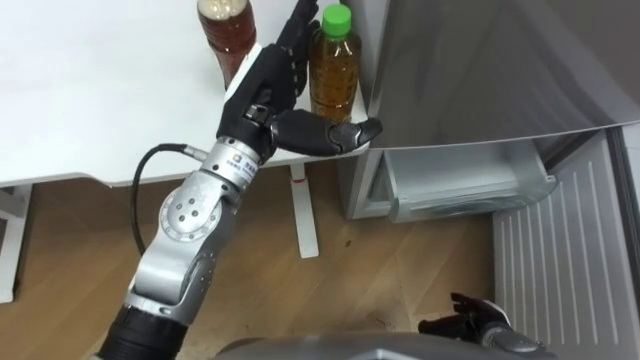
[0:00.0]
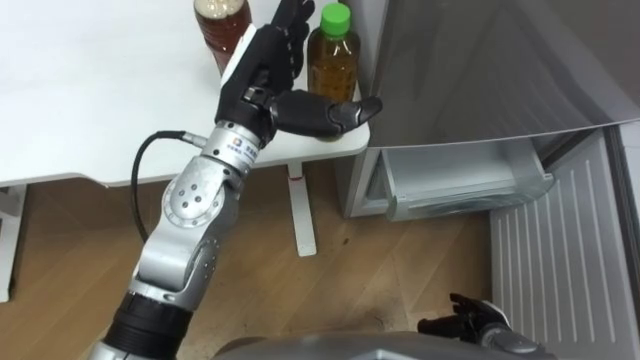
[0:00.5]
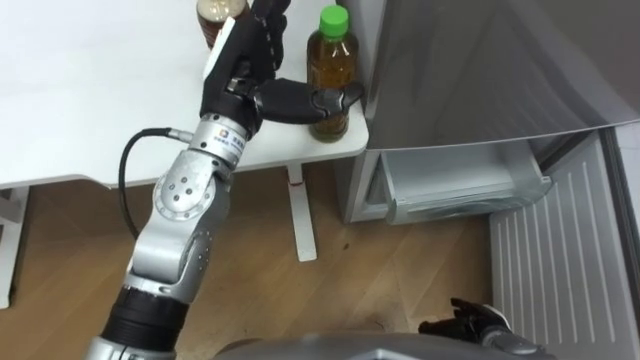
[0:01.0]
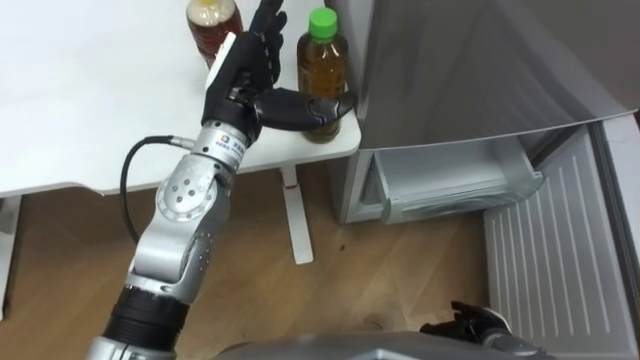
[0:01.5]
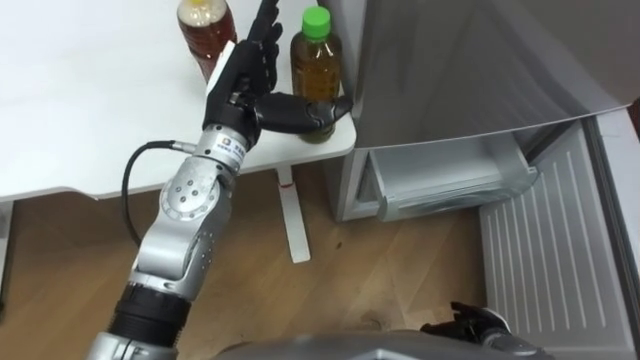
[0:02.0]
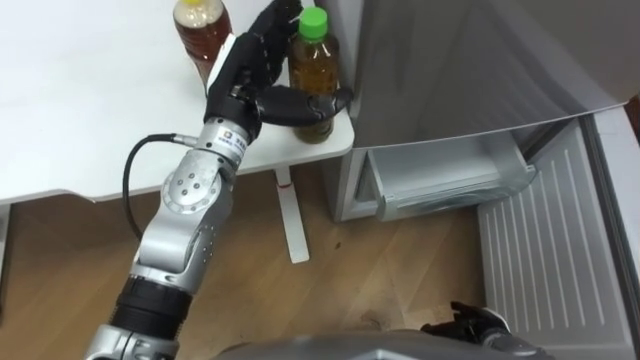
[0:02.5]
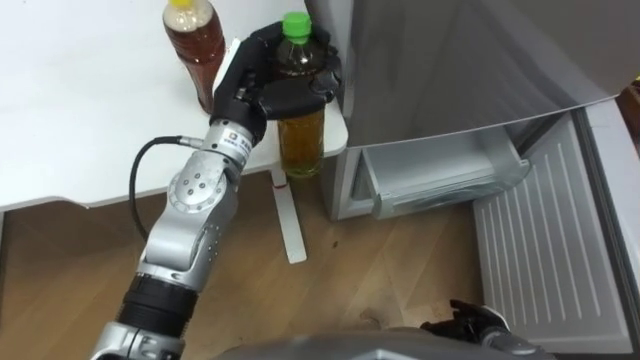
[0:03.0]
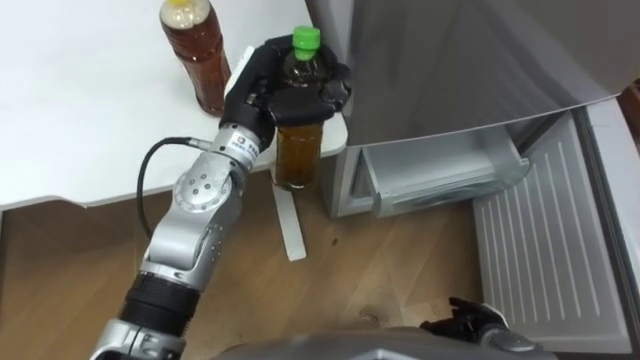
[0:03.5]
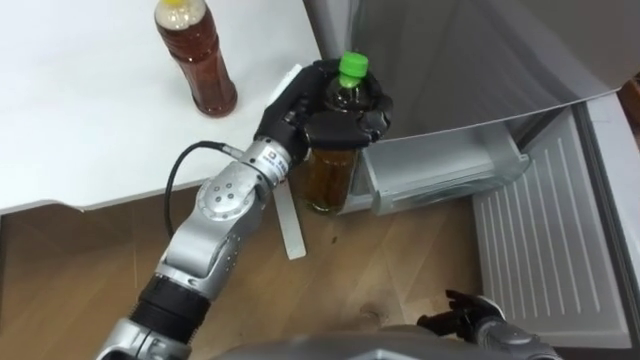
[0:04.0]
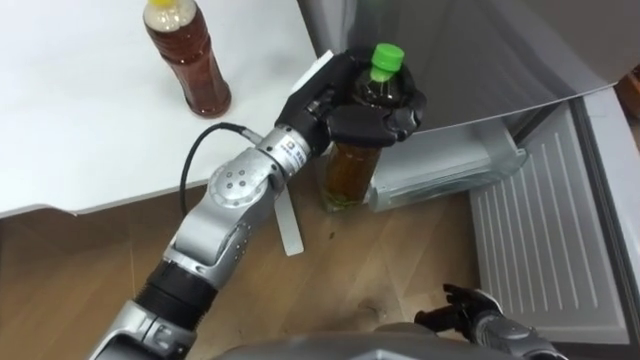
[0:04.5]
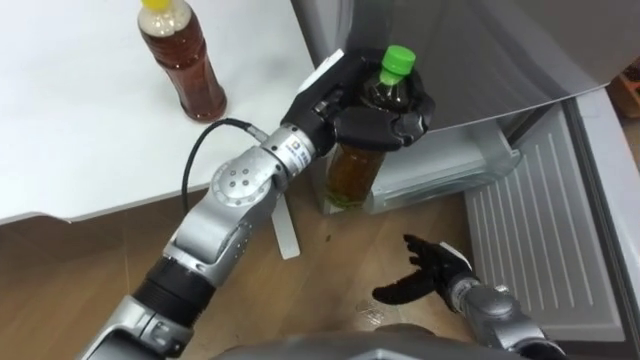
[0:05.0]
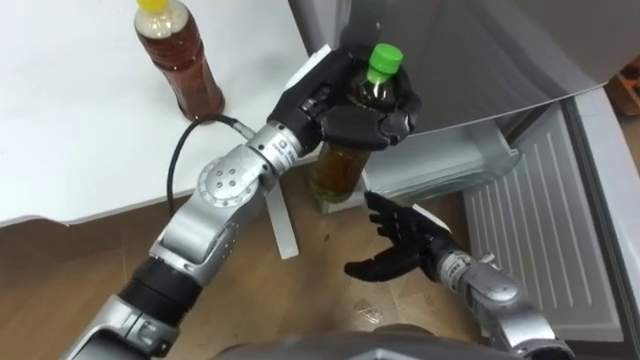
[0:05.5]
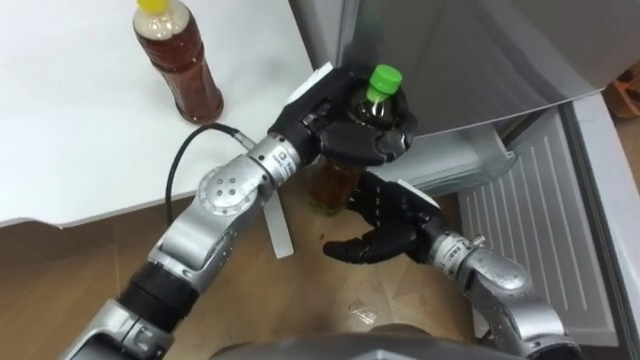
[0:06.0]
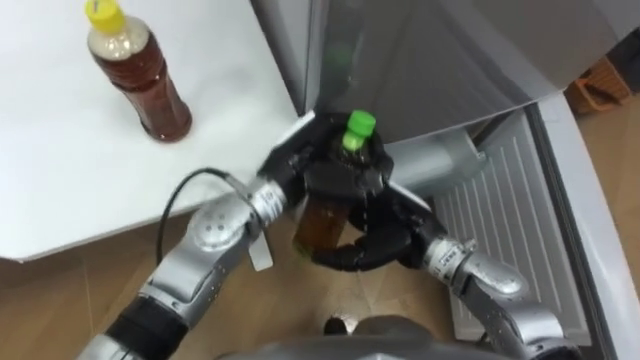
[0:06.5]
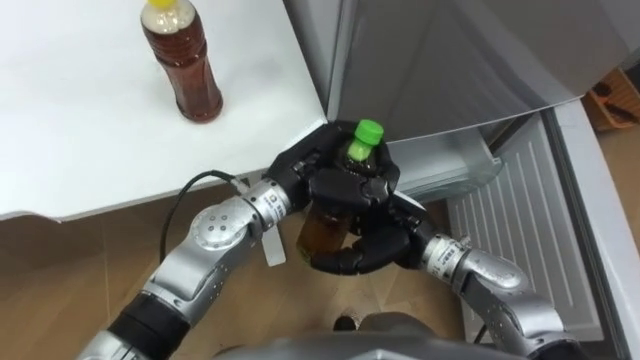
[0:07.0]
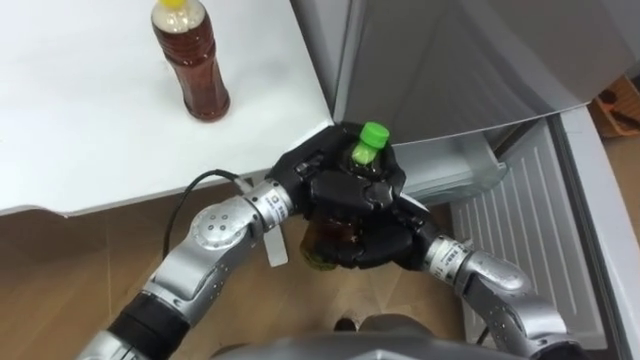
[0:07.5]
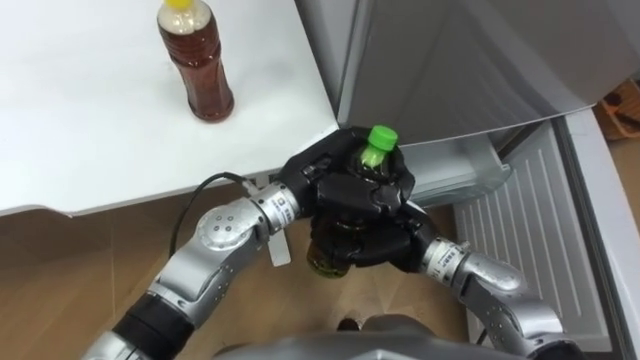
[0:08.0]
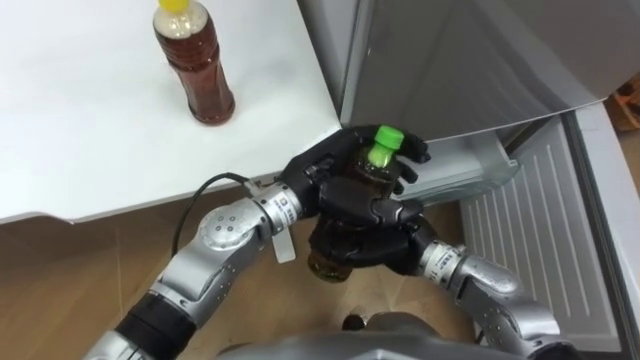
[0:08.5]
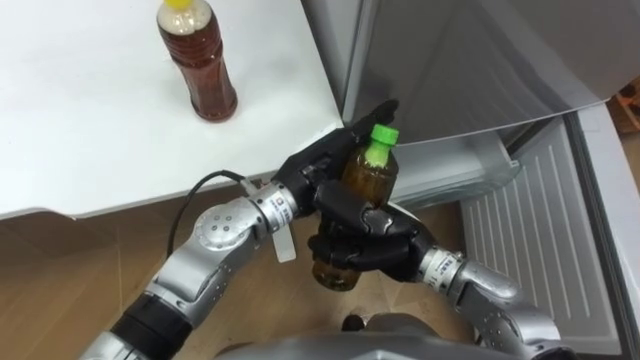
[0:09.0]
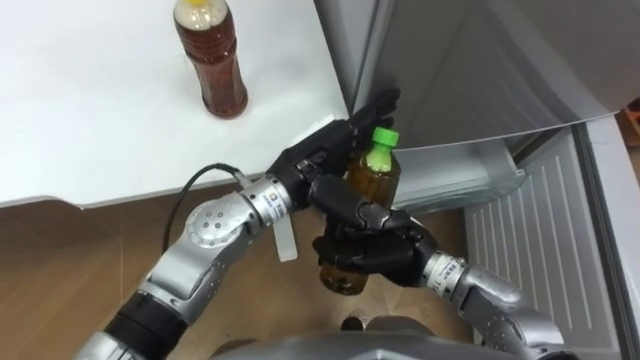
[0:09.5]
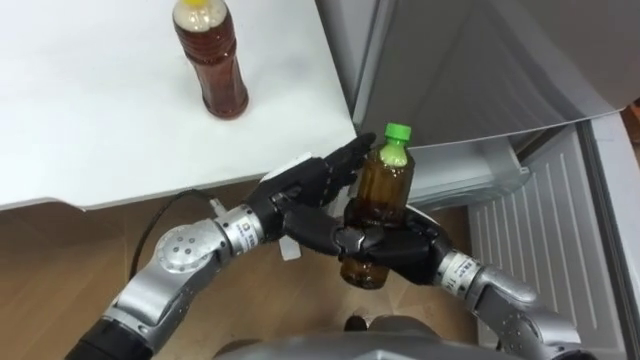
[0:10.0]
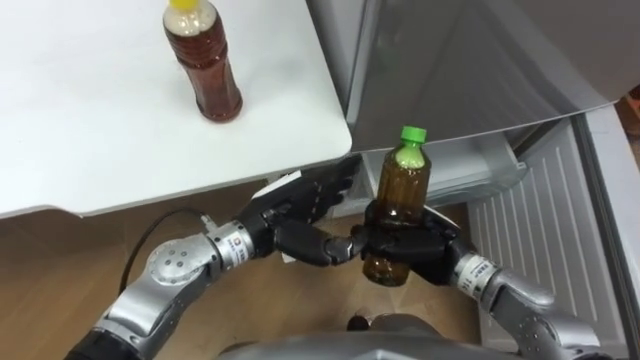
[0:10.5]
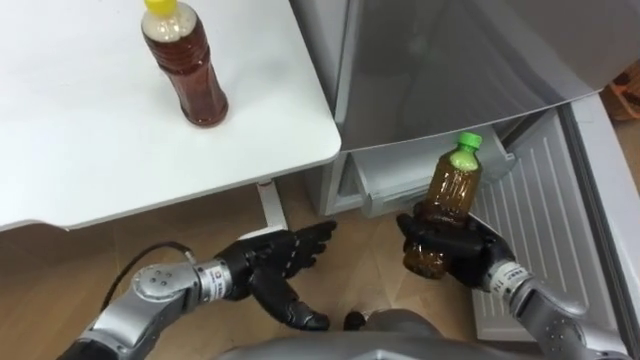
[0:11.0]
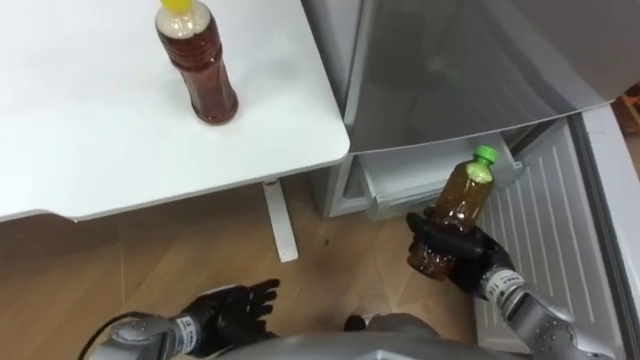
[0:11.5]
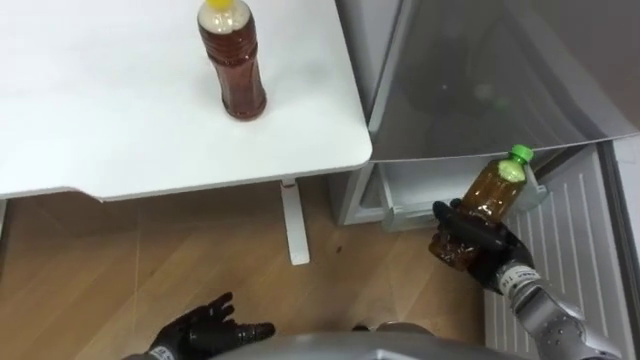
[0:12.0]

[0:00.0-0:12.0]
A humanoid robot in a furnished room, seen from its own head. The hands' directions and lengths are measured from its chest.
Task of the whole recording: Place the drink on the table on the bottom shelf of the refrigerator, then close the drawer and the refrigerator door.
0:02.0 to 0:04.0: The left hand shifts approximately 5 cm to the right, and closes its fingers.
0:04.0 to 0:06.0: The right hand heads upward, forward and to the left, covering some 20 cm.
0:06.0 to 0:08.0: The left hand goes roughly 5 cm downward. Meanwhile the right hand closes its fingers.
0:08.0 to 0:10.0: The left hand opens up.
0:10.0 to 0:12.0: The left hand shifts some 30 cm downward, backward and to the left. Meanwhile the right hand heads to the right and downward, covering about 15 cm.

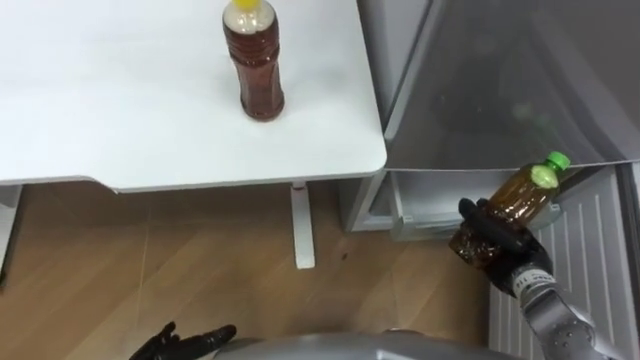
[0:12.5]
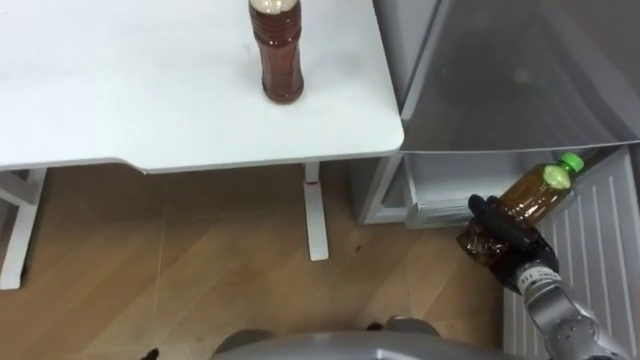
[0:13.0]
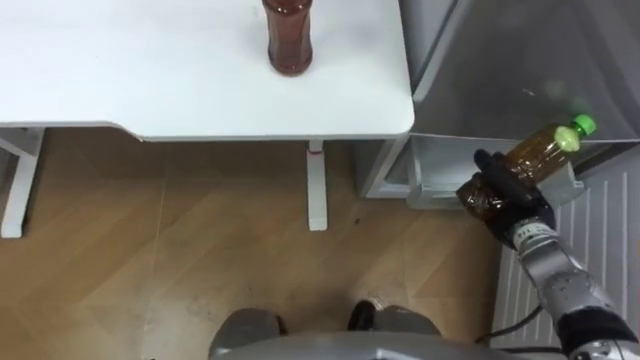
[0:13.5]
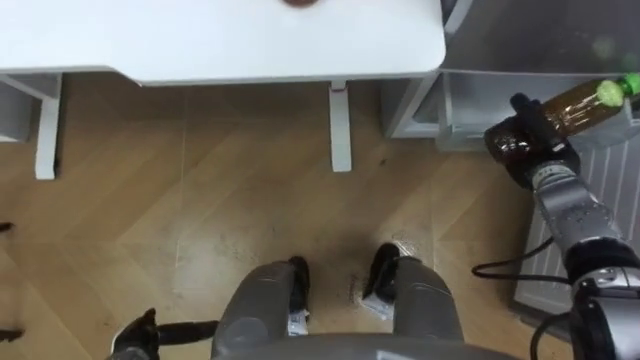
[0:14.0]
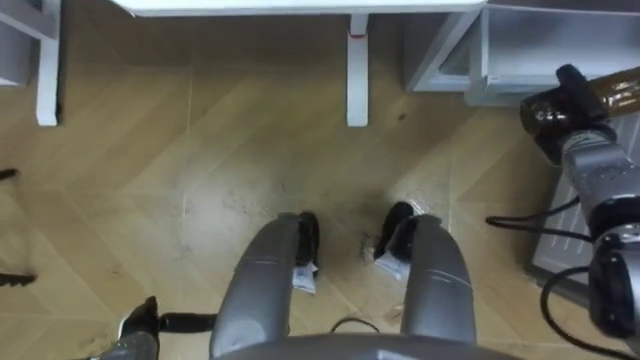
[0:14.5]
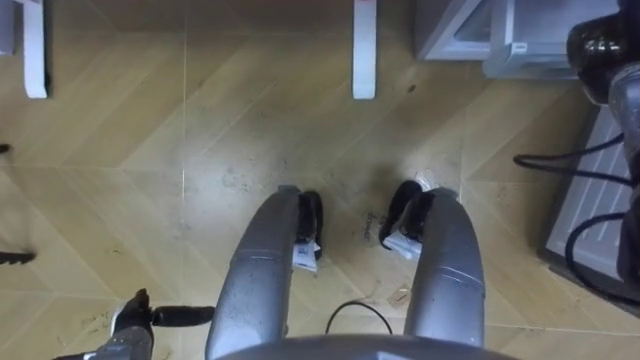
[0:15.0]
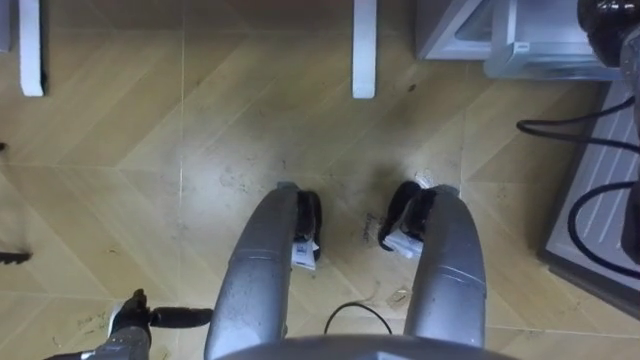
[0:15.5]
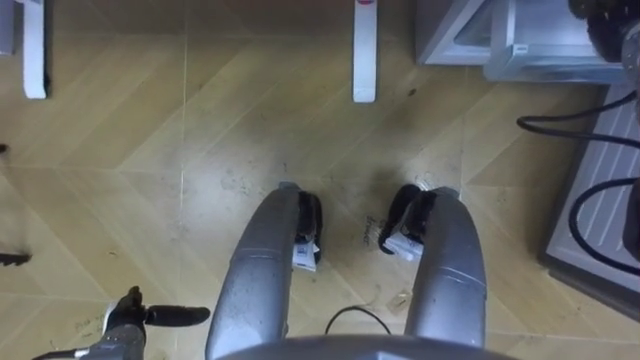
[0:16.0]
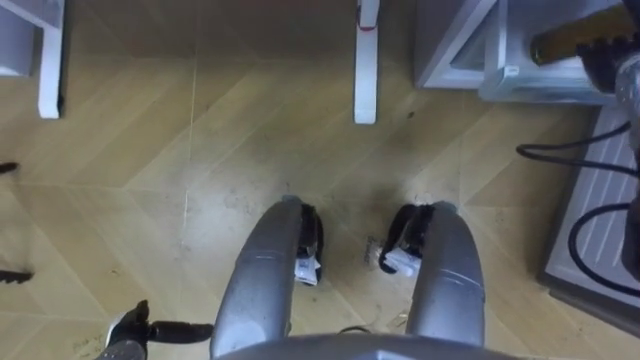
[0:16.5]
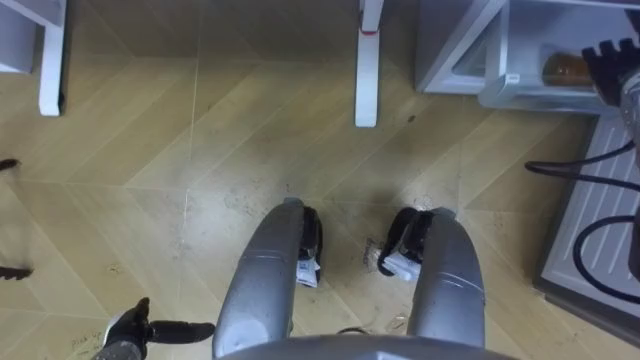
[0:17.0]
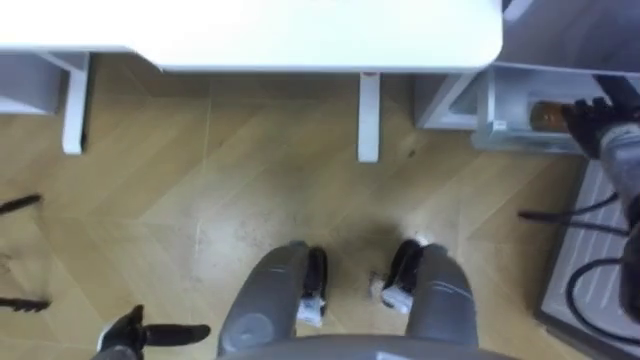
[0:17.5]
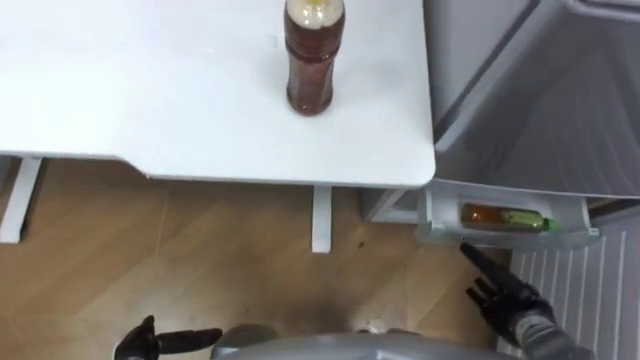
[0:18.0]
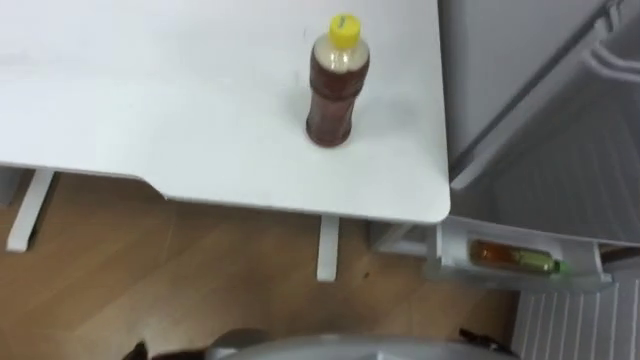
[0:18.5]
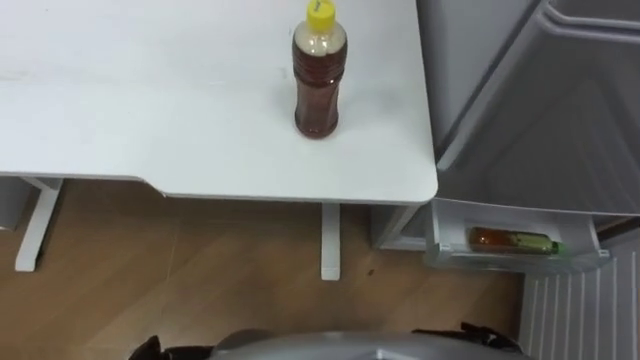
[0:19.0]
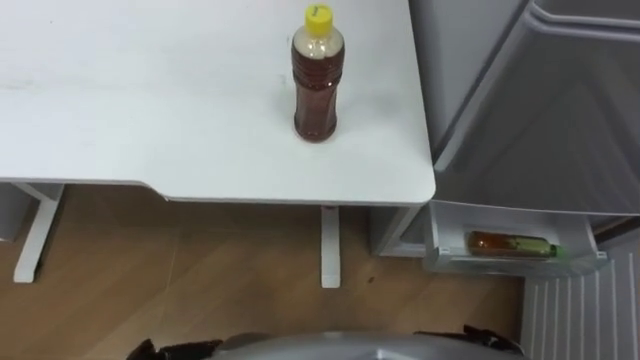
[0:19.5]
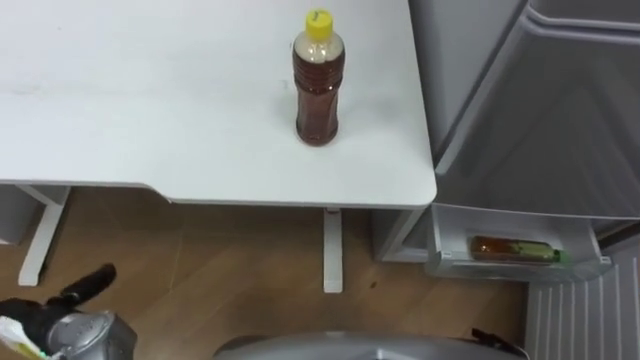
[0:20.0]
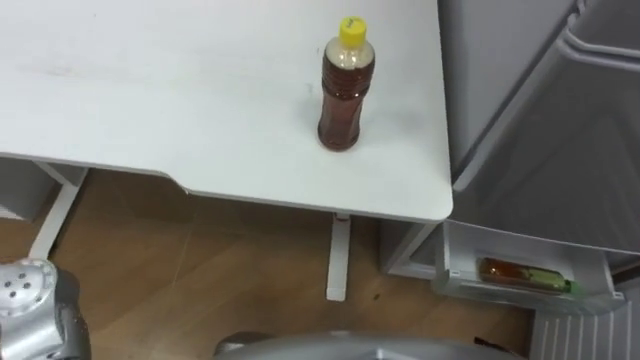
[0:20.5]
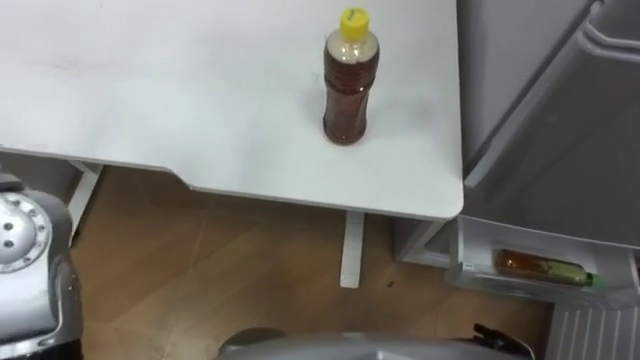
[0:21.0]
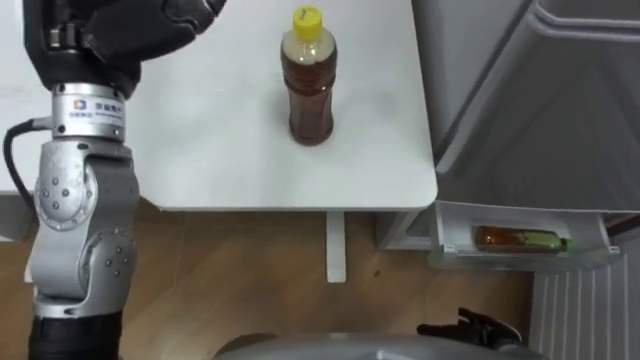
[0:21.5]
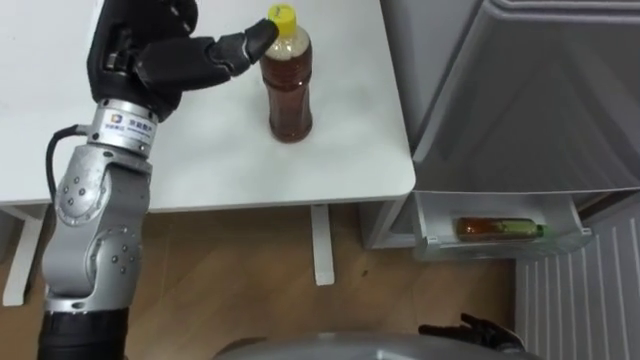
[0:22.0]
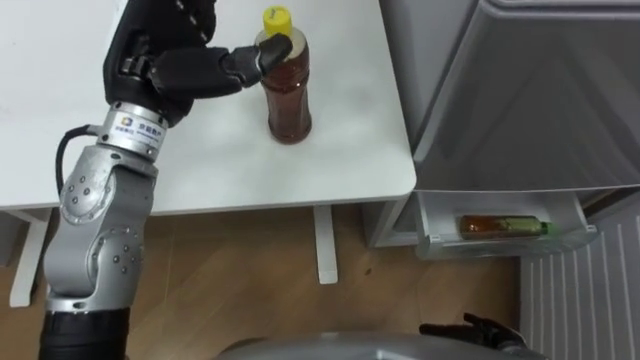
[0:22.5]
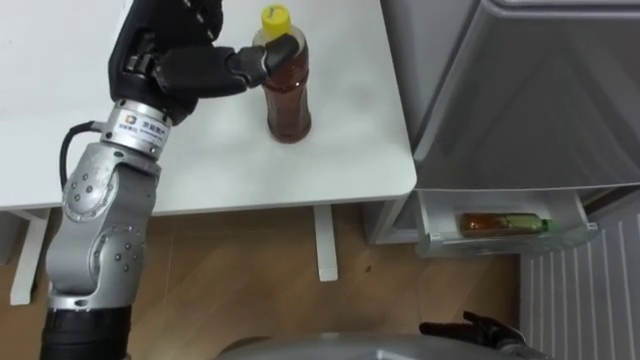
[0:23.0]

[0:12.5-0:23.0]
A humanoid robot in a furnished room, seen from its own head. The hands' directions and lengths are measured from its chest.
Task of the whole recording: Place the drink on the table on the bottom shelf of the refrigerator, then close the drawer and the refrigerator door.
0:12.5 to 0:14.5: The right hand goes about 20 cm forward, upward and to the right.
0:14.5 to 0:16.5: The right hand heads upward and forward, covering roughly 10 cm, and opens up.
